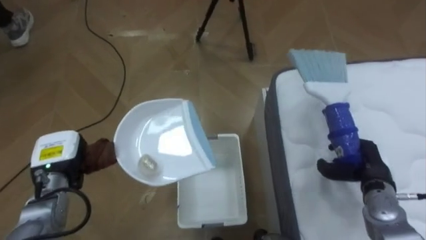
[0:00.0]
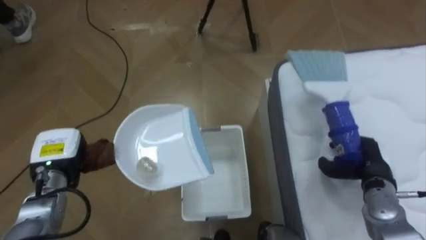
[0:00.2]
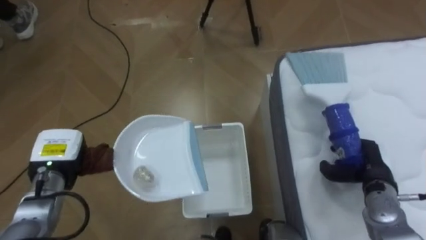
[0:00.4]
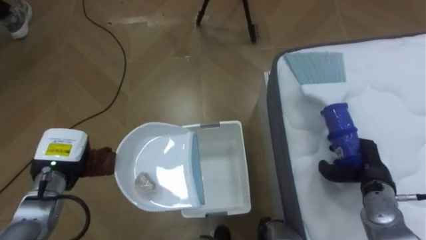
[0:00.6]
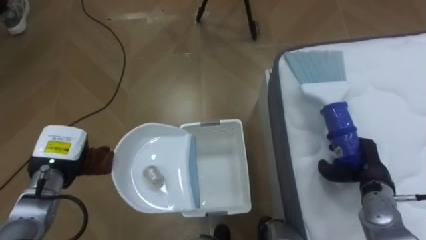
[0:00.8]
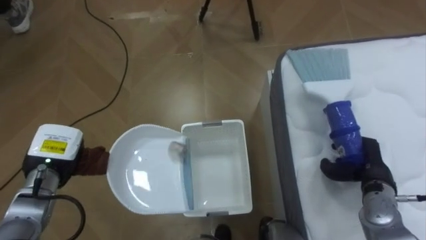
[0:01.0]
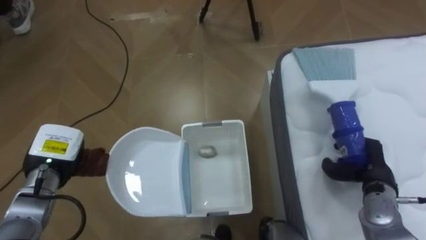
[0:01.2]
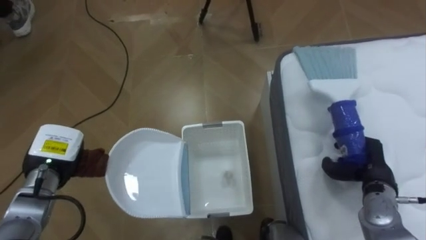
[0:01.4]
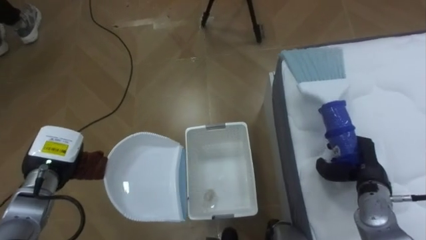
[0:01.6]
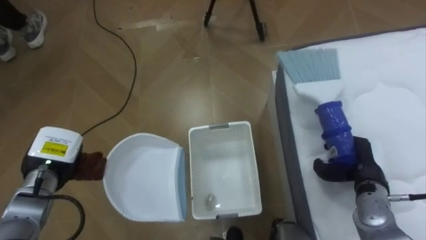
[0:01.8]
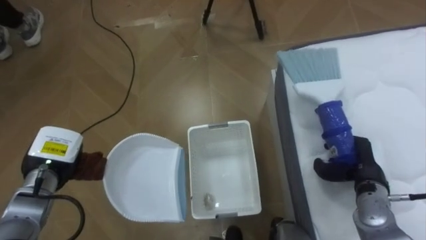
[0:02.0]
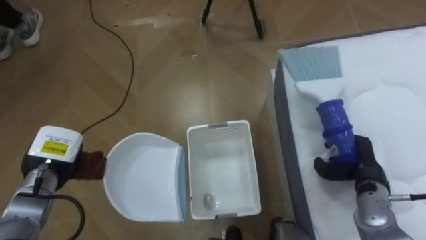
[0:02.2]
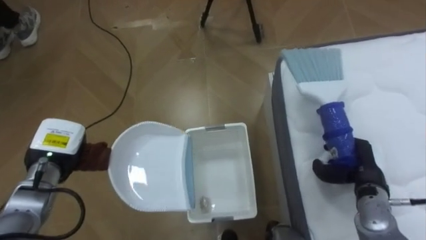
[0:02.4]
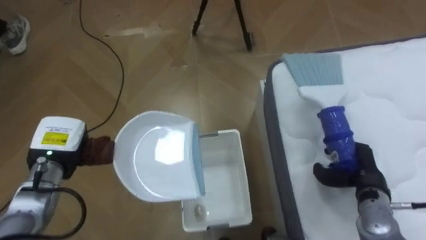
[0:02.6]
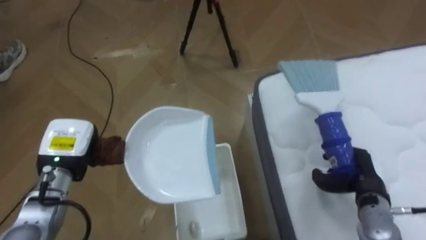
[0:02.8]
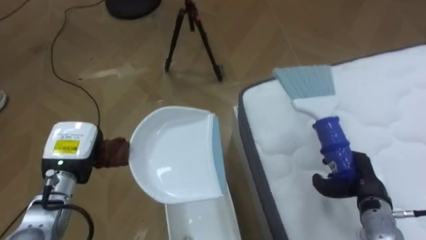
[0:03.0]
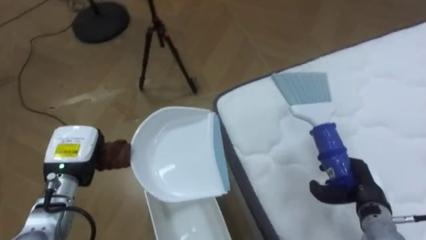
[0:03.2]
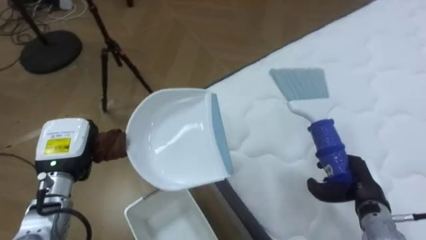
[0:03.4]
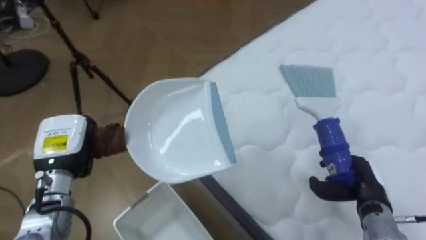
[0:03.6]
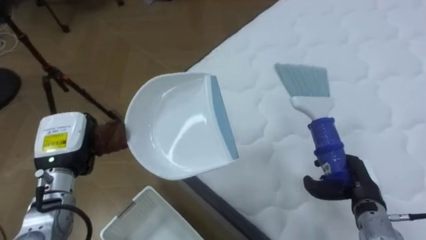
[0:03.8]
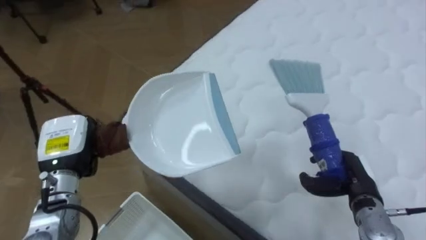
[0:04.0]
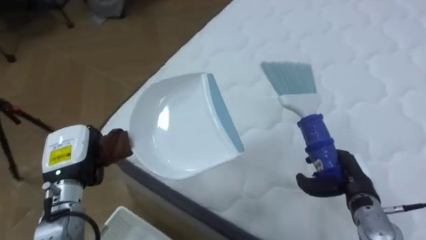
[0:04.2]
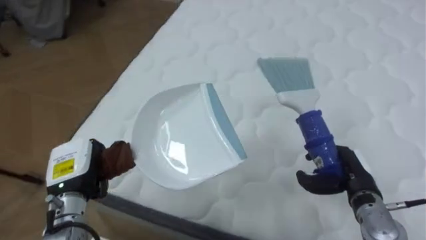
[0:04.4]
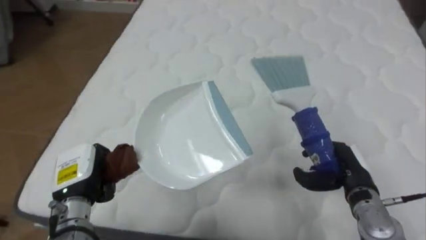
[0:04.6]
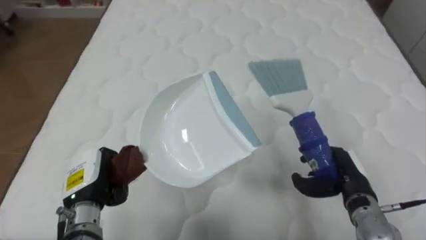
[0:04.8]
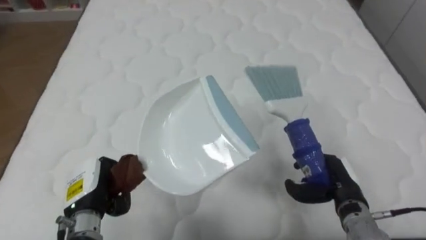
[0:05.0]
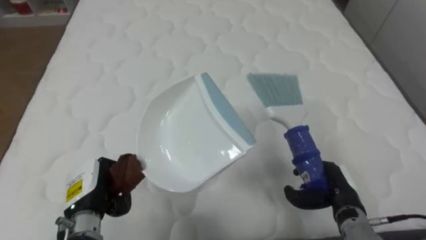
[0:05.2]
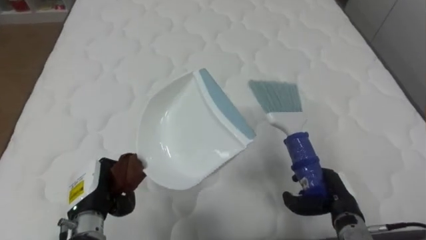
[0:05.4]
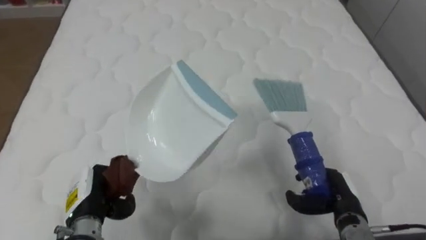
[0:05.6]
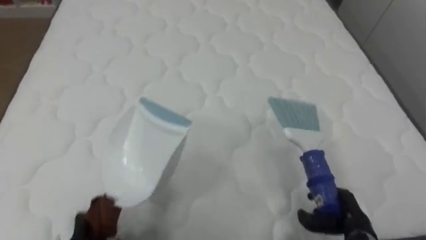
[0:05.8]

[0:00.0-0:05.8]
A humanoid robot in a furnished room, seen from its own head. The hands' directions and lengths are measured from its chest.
Task of the whole recording: Pick up the brush on your right and the dustpan on your left. Use the brush to sweep the crumpled paper on the bed into the dustpan, then turn left and empty it into the basket.
0:02.8 to 0:04.4: The robot rotates approximately 65 degrees to its right.
0:04.4 to 0:05.8: The robot turns to its right by approximately 25 degrees. The right hand moves downward and backward, some 10 cm; the left hand heads downward and backward, covering approximately 15 cm.

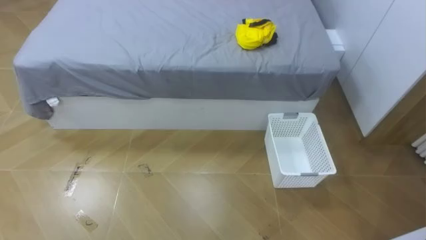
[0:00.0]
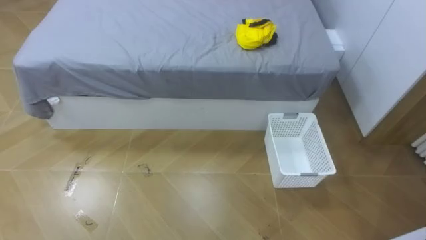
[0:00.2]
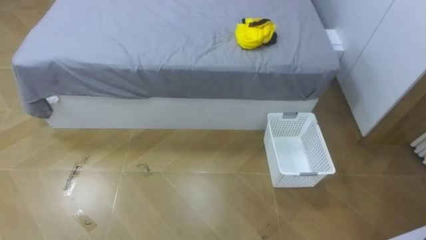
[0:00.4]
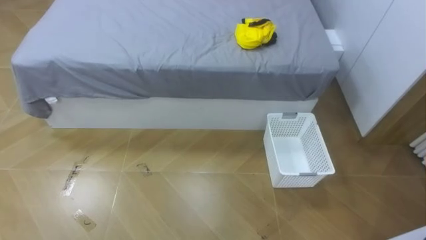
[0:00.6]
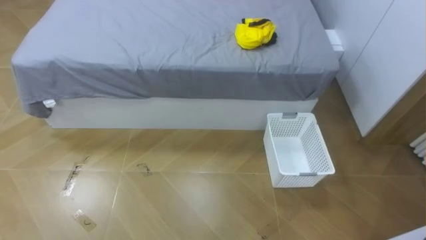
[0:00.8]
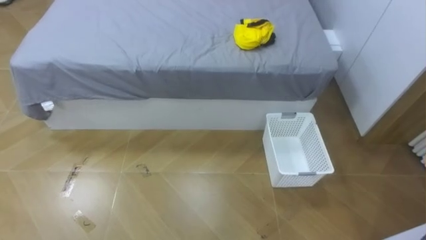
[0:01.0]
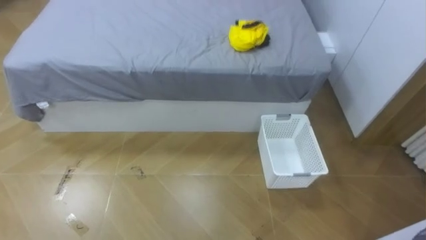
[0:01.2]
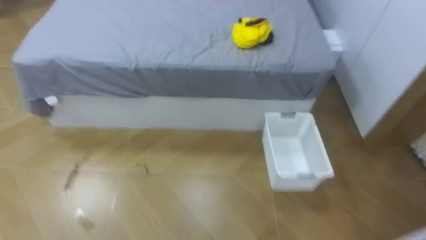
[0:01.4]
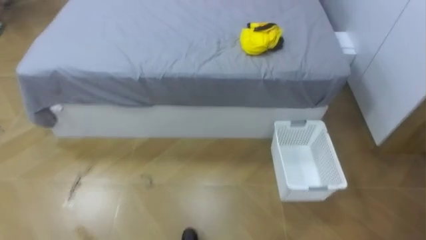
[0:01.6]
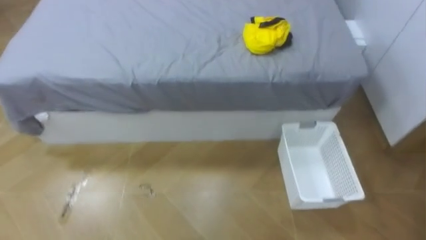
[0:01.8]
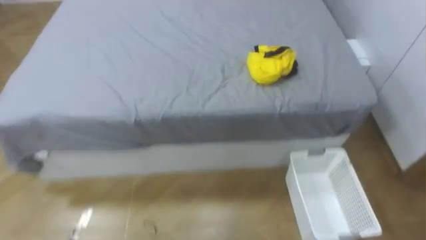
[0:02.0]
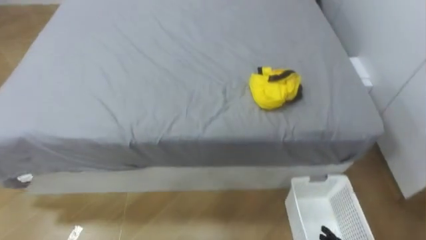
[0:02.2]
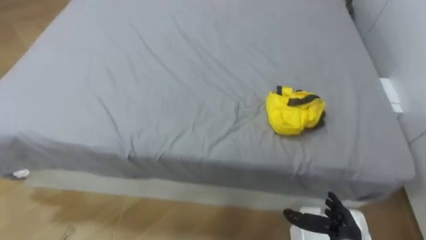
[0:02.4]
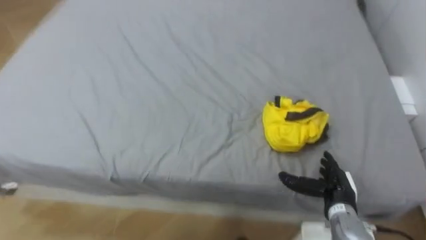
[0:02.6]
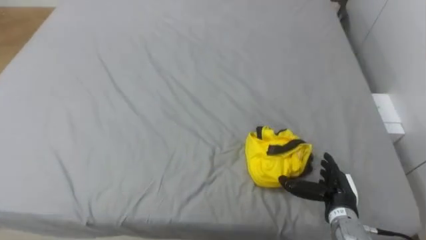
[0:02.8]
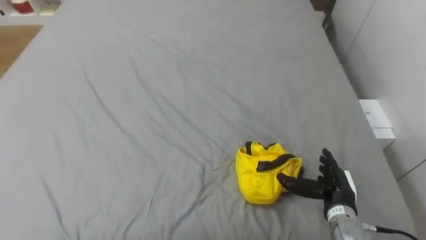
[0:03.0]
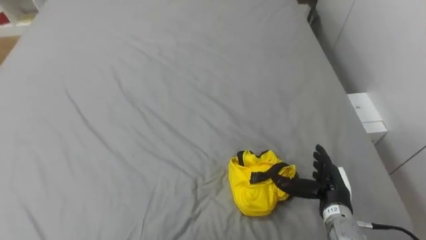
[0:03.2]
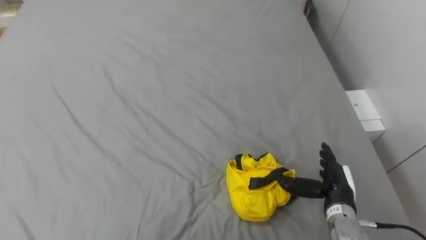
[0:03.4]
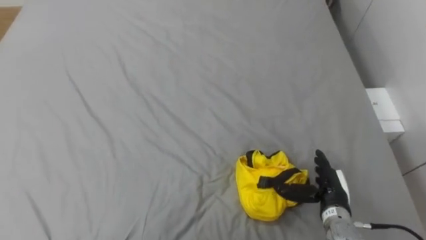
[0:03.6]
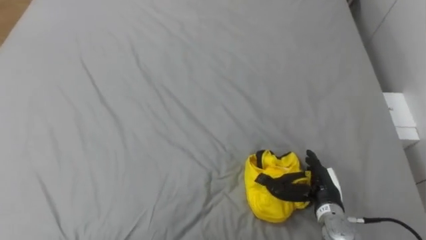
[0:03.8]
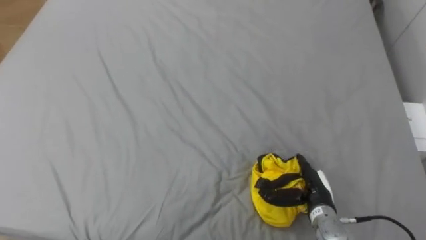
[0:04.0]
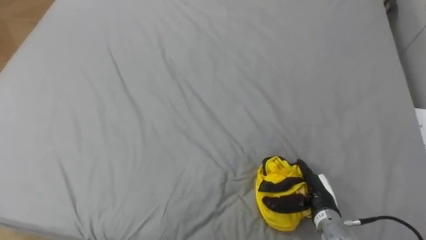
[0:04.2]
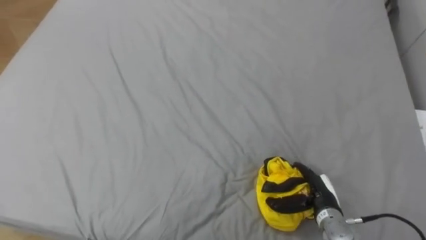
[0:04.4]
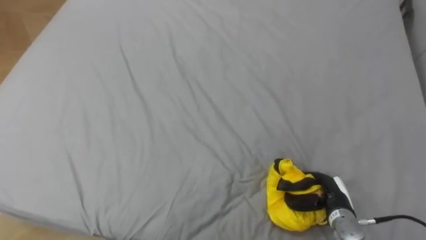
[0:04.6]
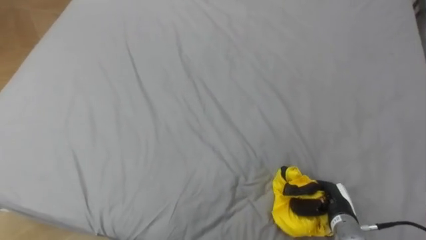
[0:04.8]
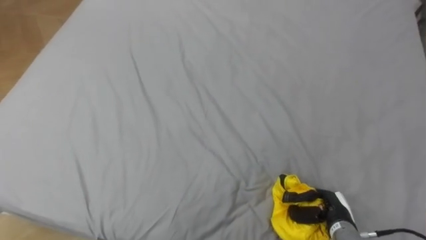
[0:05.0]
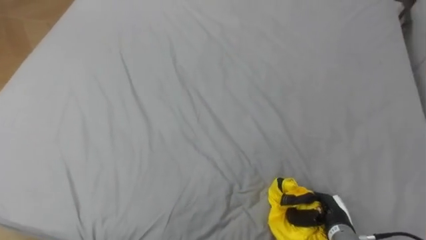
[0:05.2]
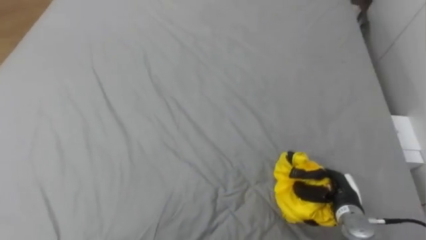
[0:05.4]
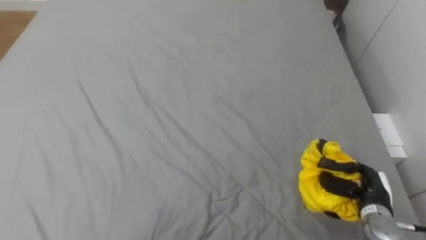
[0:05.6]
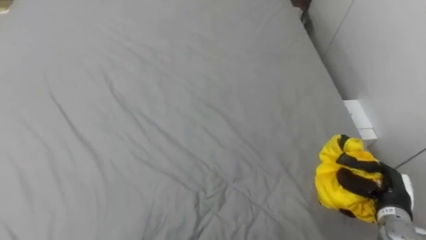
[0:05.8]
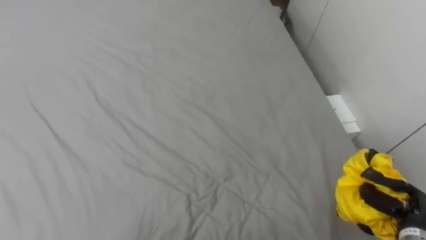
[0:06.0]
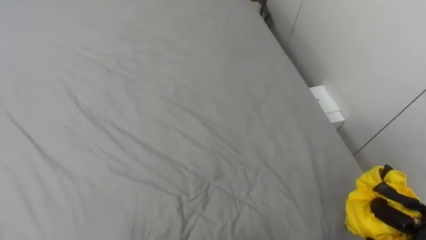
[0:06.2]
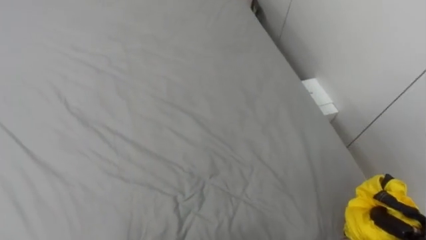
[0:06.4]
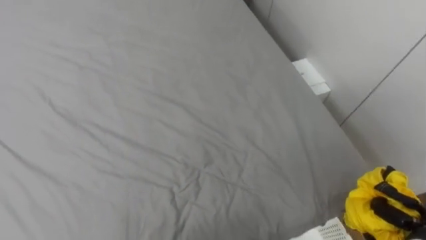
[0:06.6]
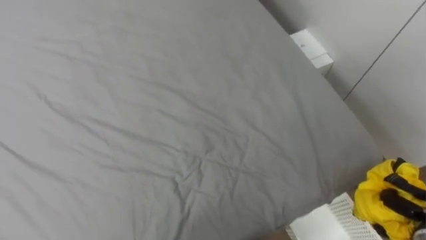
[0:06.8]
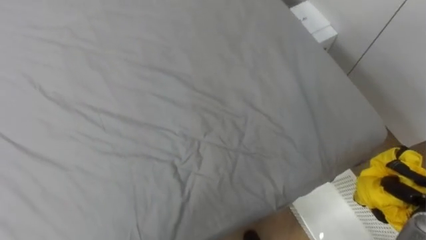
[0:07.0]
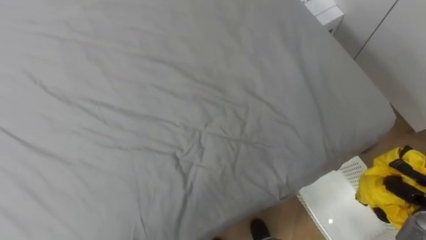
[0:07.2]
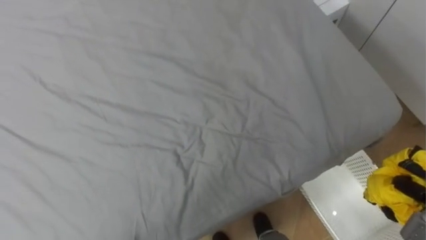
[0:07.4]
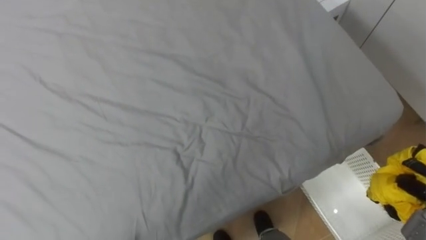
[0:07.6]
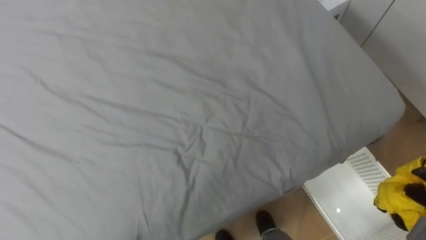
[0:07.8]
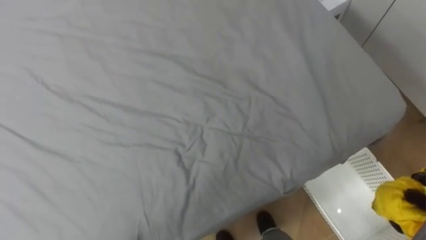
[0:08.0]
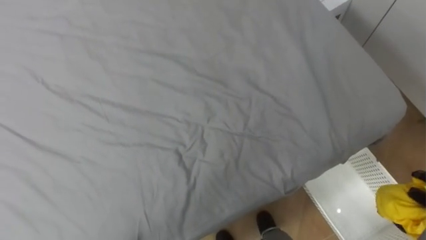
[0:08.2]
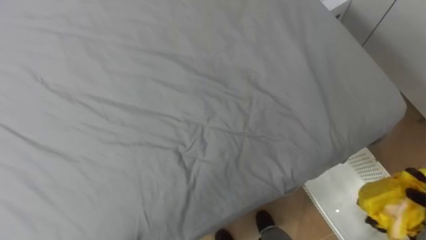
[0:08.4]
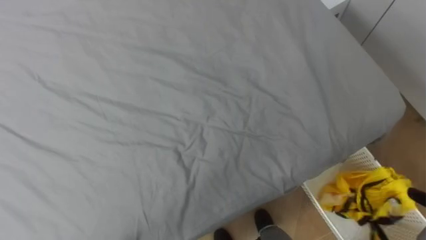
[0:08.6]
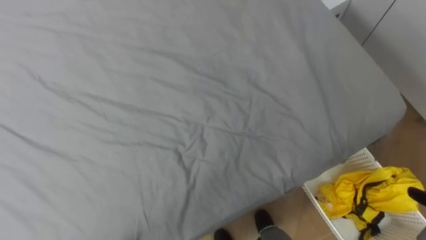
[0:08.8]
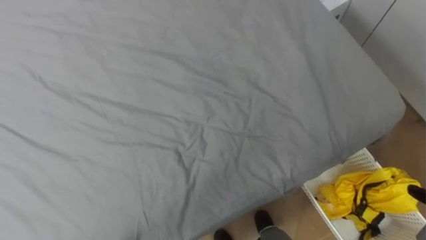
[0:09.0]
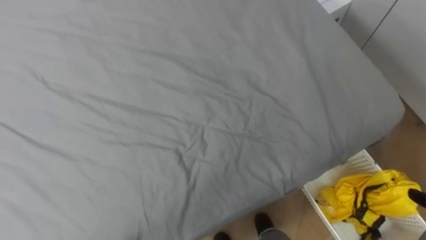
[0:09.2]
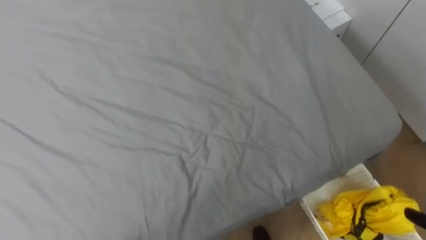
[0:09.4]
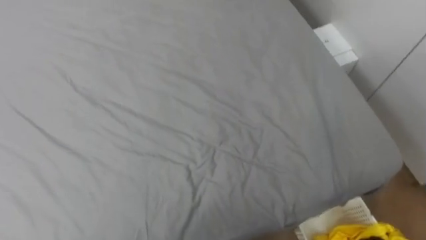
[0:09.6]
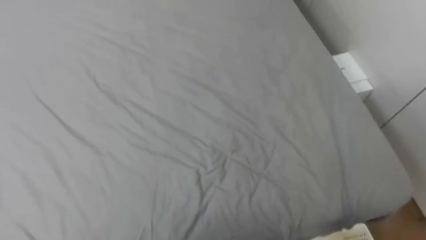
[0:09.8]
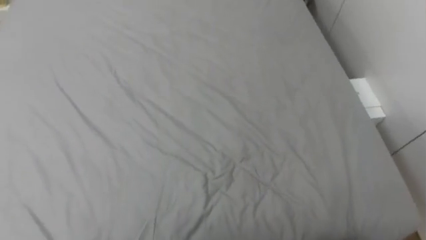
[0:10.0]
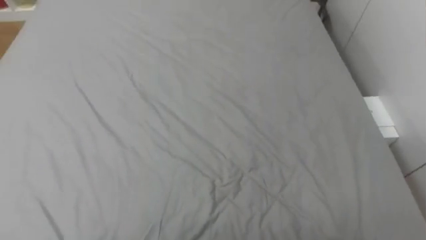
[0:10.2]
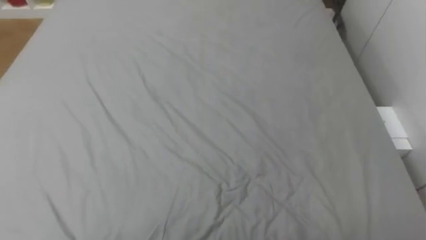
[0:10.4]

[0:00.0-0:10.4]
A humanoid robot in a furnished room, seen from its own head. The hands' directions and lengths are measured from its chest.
Task of the whole recording: Pick up the yellow clothes on the bed and place them into the white basket on the right.
0:04.4 to 0:06.0: The right hand goes some 15 cm to the right, and closes.

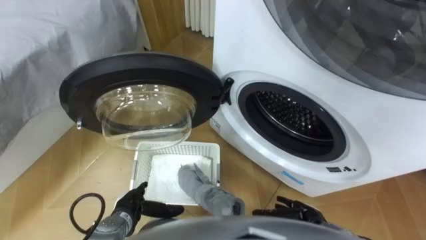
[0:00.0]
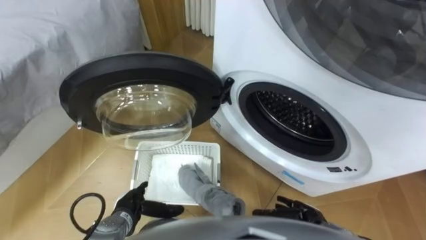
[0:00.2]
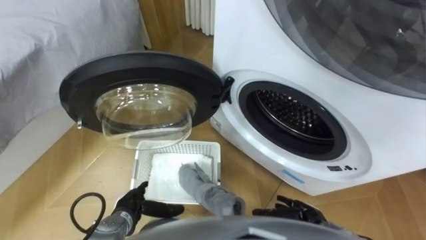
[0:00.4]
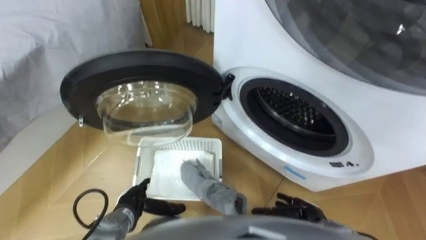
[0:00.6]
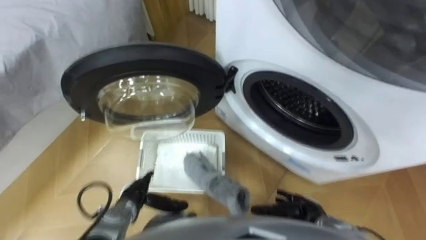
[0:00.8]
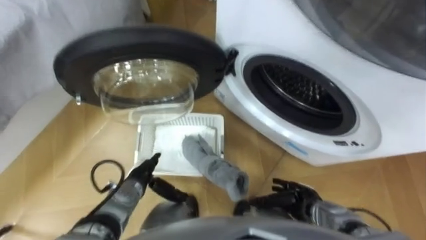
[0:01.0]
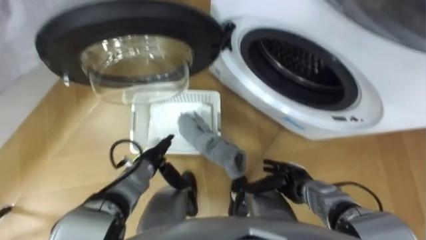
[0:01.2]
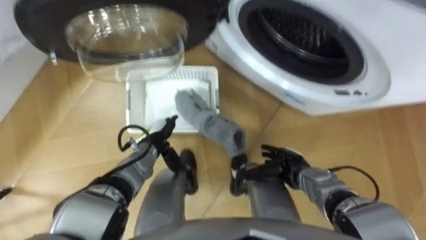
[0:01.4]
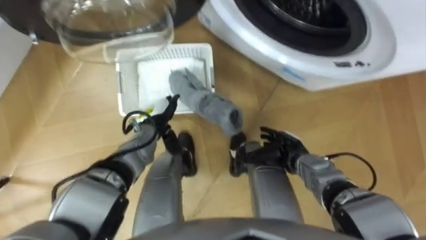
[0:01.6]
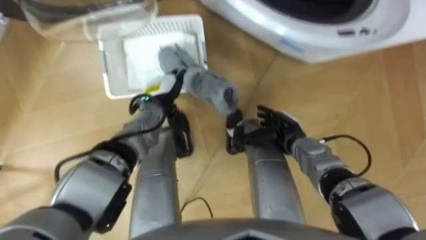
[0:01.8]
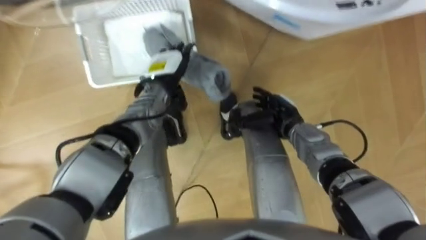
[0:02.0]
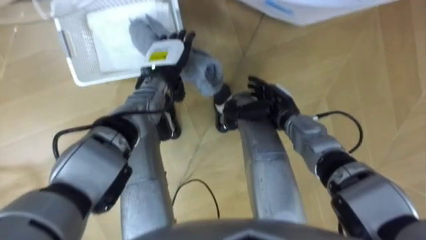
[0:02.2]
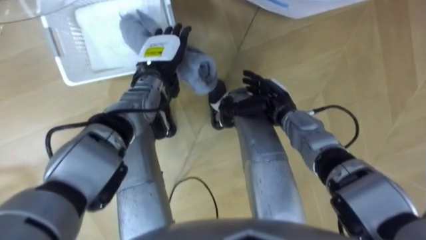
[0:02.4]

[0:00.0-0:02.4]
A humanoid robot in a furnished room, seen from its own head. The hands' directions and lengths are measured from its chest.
Task of the whole recording: Take the towel from the basket and put it into the washing machine.
0:01.2 to 0:02.4: The two hands go approximately 20 cm forward and upward.
